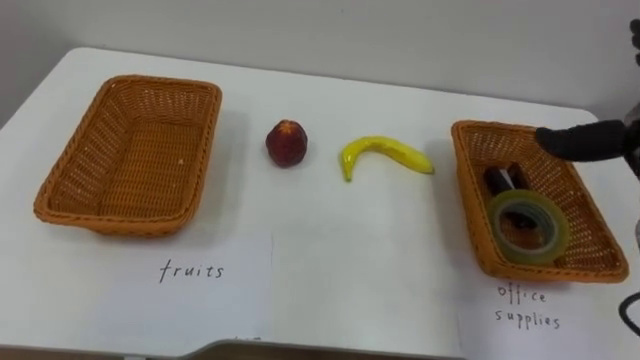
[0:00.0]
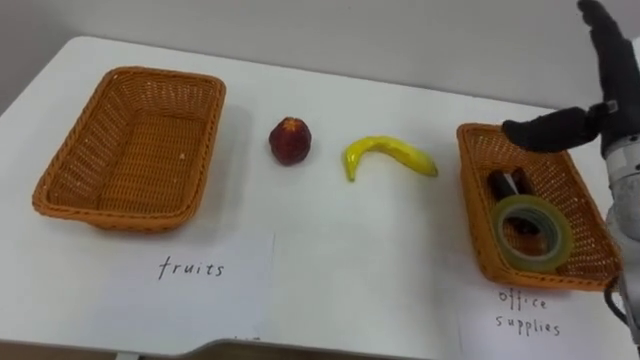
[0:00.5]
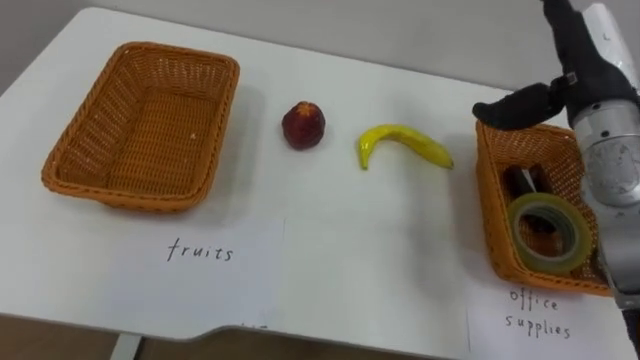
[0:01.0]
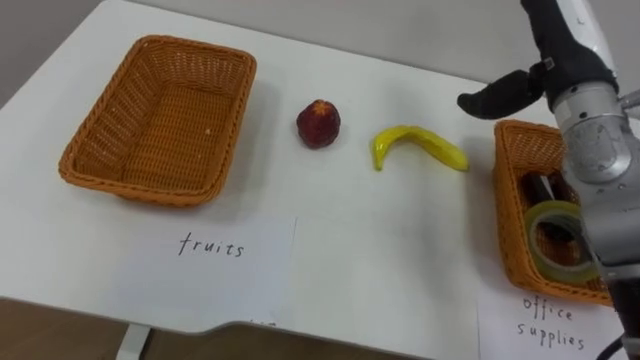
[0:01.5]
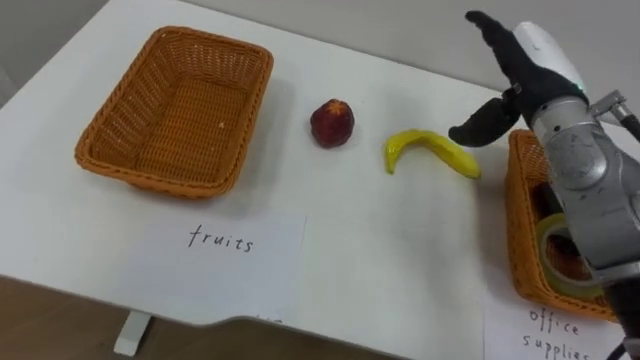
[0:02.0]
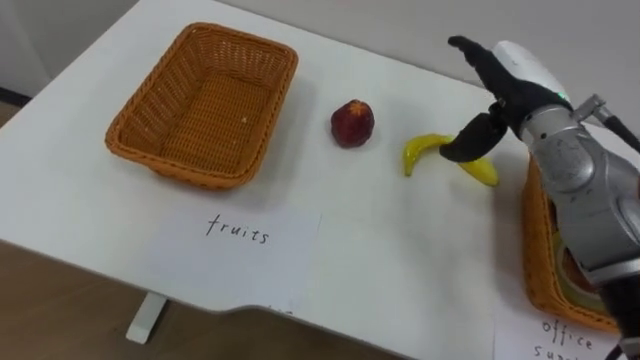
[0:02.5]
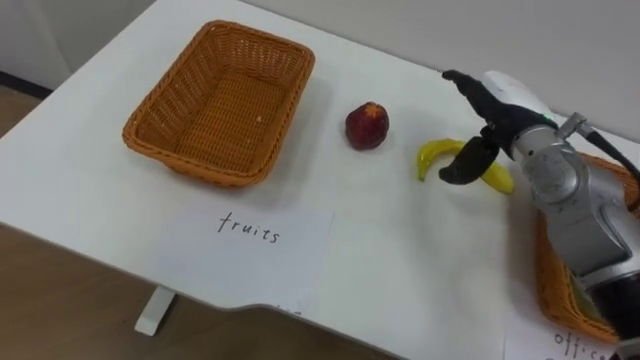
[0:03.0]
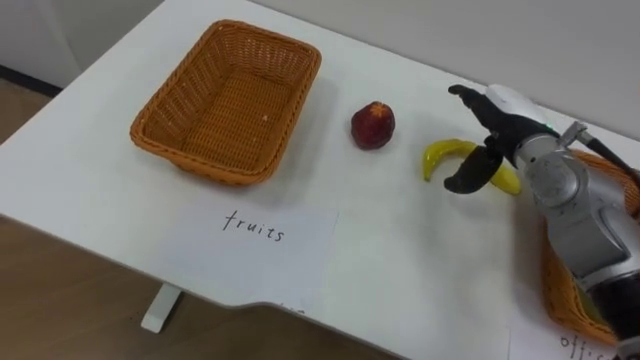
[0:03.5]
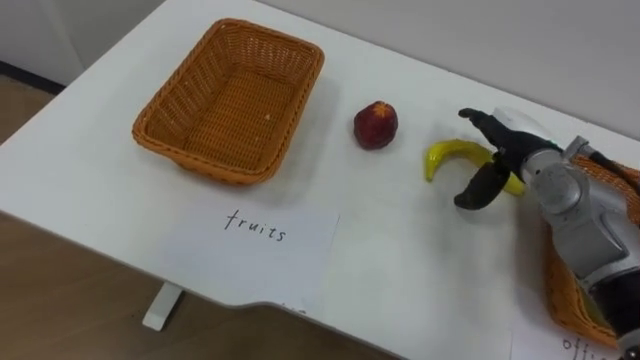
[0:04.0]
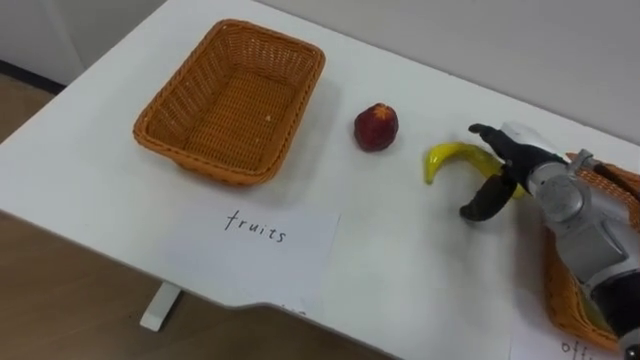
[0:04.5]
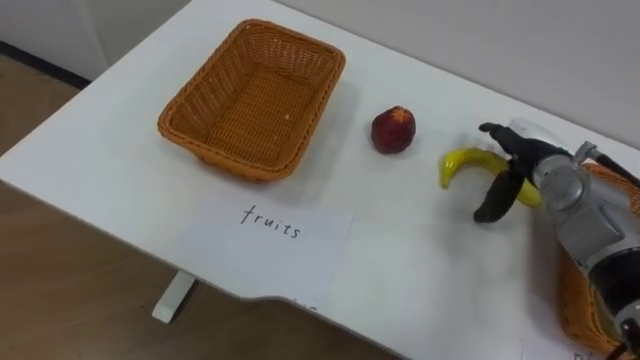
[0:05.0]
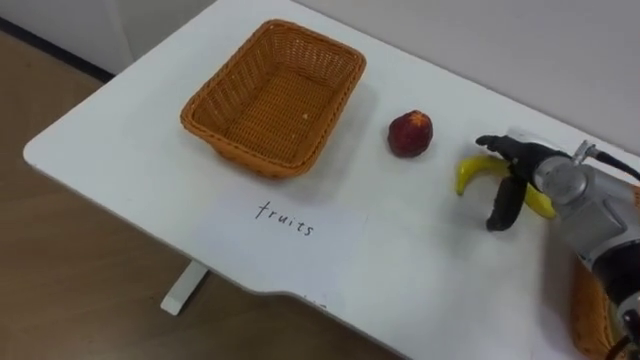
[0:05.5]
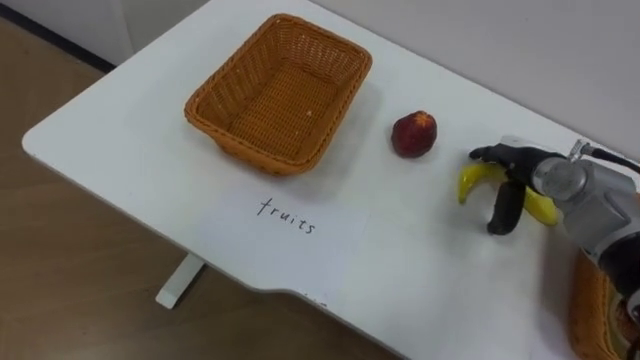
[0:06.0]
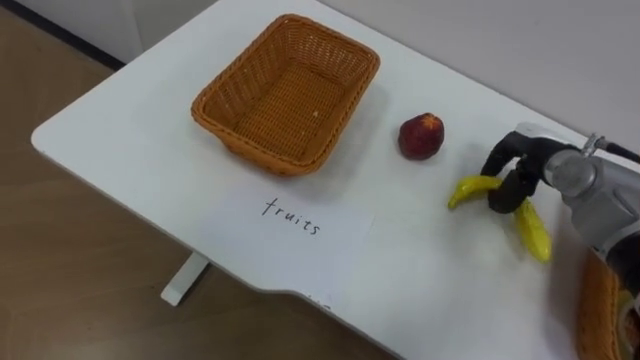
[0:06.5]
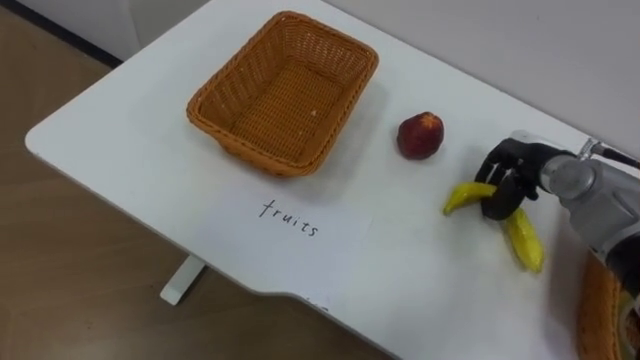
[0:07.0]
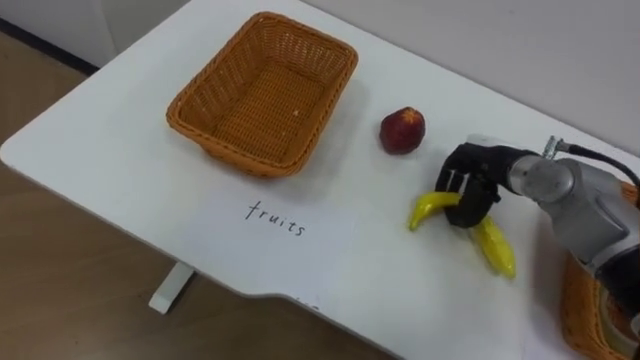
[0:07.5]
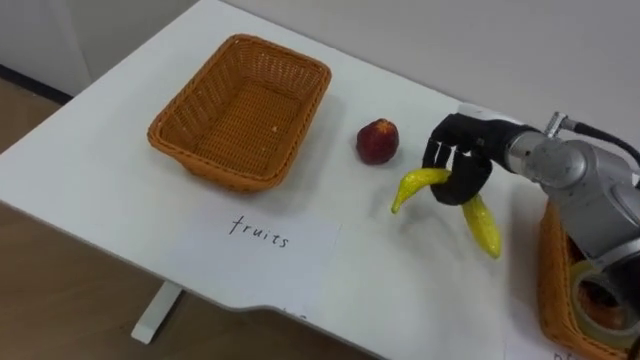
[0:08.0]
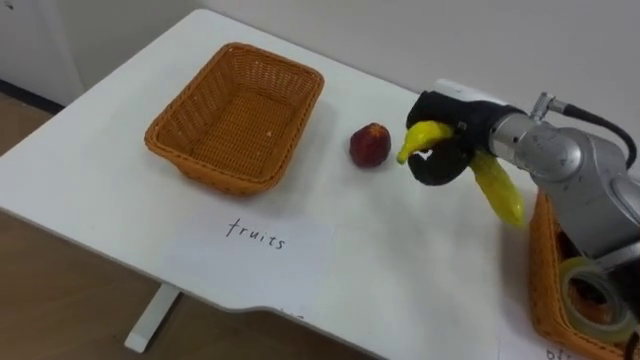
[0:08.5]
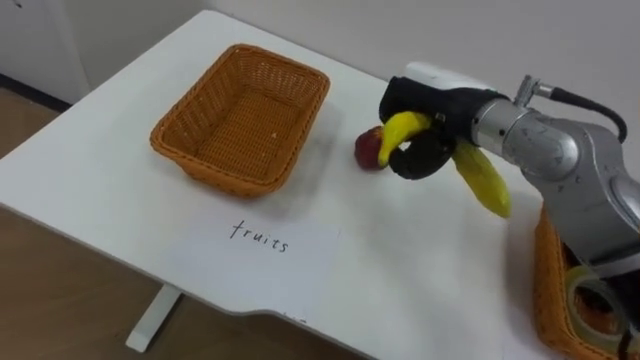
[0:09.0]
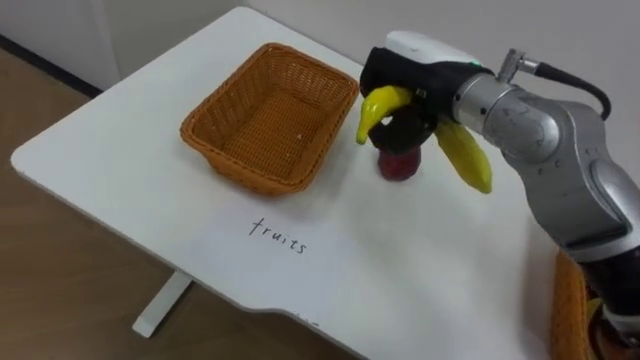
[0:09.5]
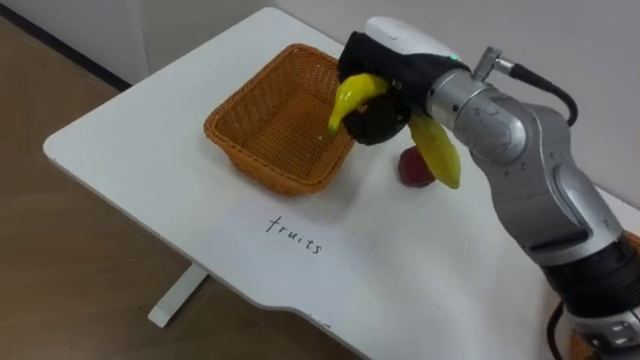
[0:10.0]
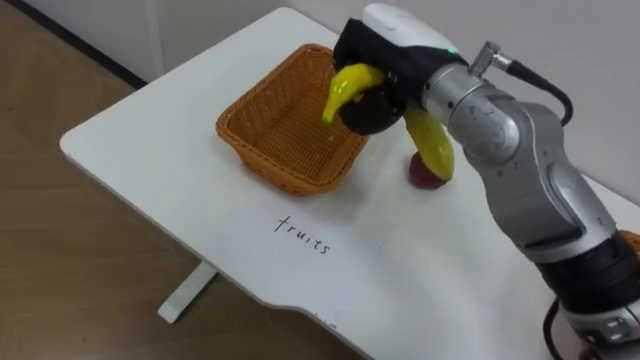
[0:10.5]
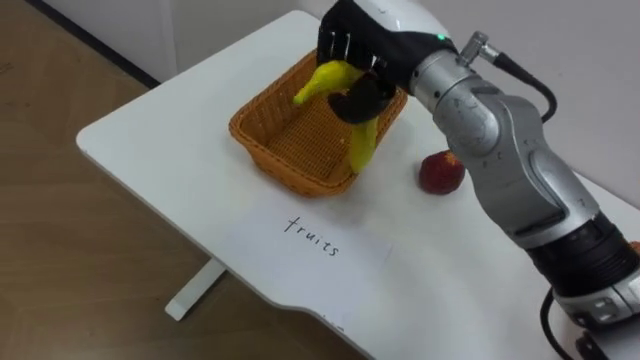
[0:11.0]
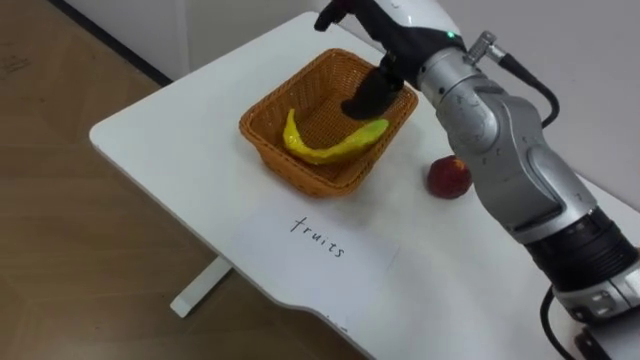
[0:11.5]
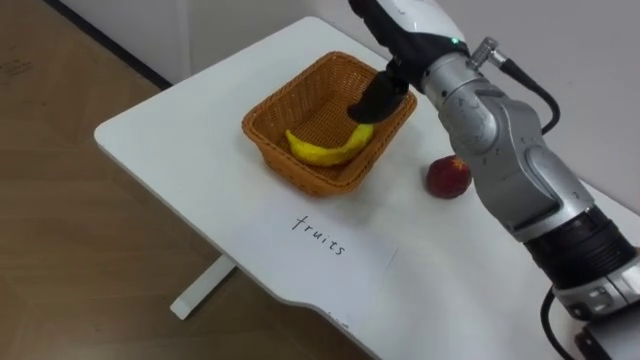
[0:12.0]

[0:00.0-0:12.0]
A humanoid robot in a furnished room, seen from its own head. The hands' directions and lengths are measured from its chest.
Task of the whole recording: Separate the items on the table and place them into the two baskets.
2.0 to 4.0 s: The right hand is displaced downward by some 10 cm.
4.0 to 6.0 s: The right hand changes place by about 5 cm.
6.0 to 8.0 s: The right hand shifts about 10 cm to the left and upward, and closes.
8.0 to 10.0 s: The right hand shifts some 15 cm to the left and upward.
10.0 to 12.0 s: The right hand opens up.

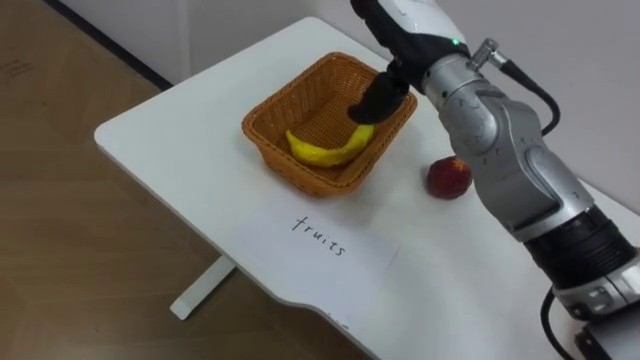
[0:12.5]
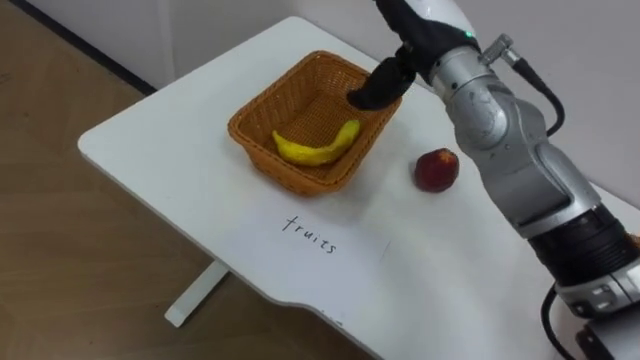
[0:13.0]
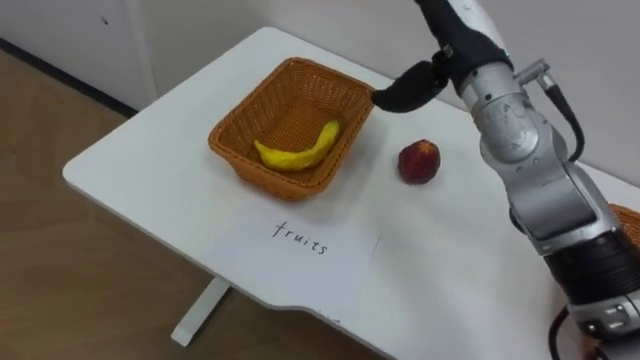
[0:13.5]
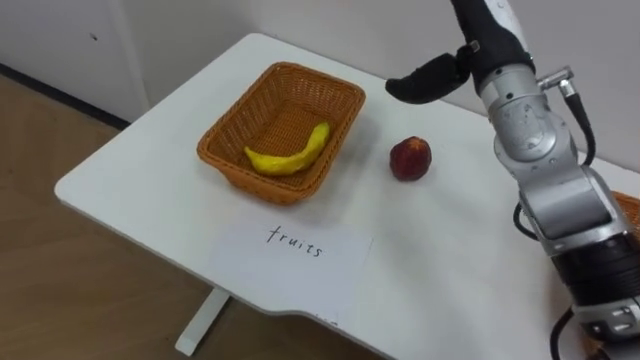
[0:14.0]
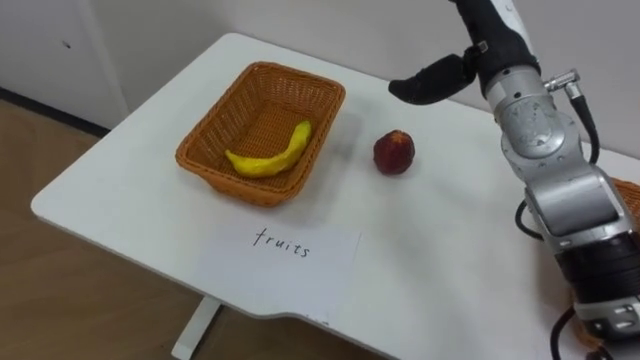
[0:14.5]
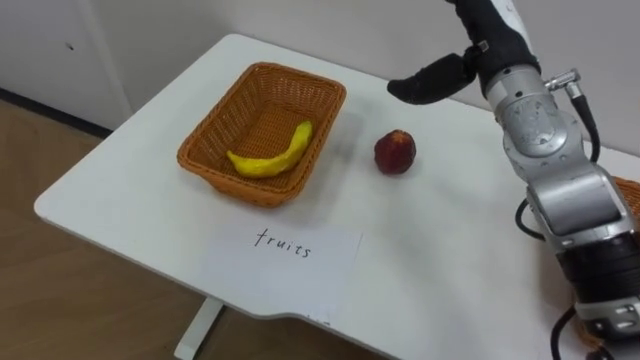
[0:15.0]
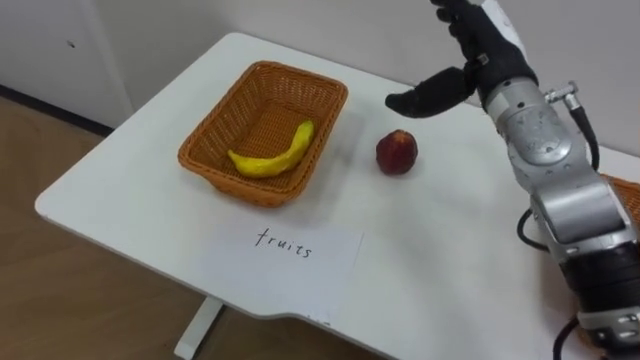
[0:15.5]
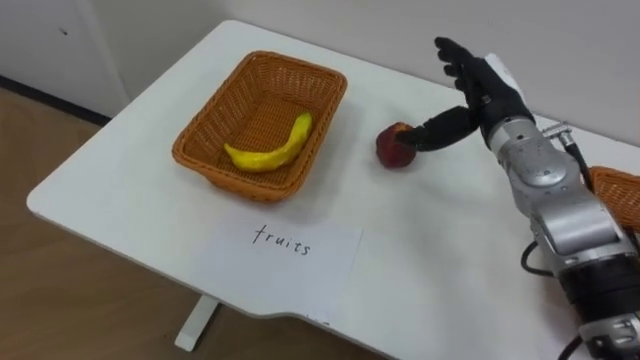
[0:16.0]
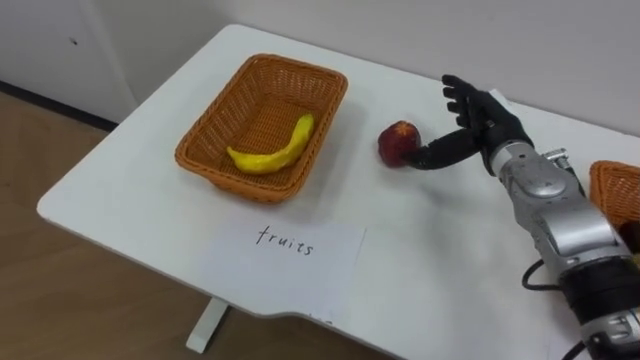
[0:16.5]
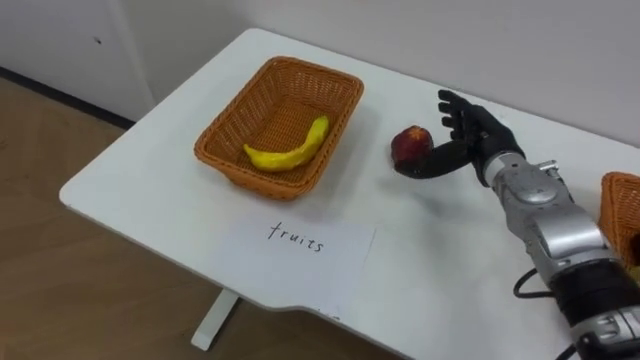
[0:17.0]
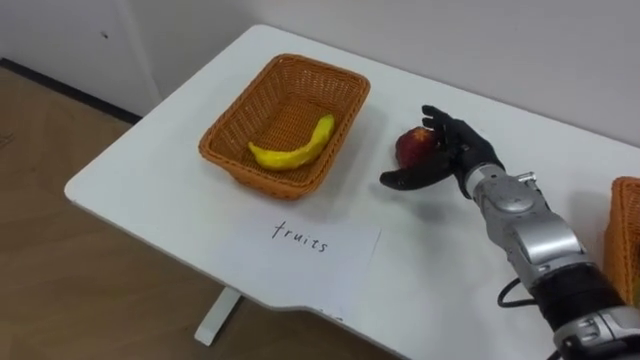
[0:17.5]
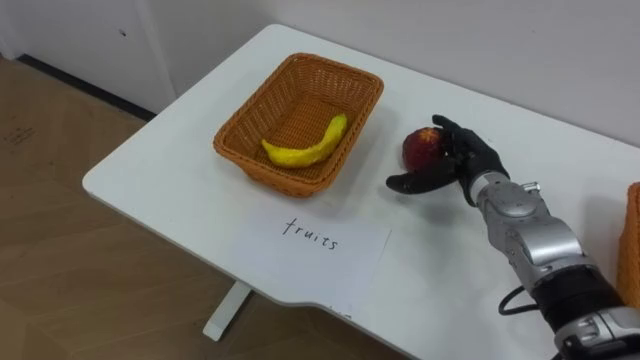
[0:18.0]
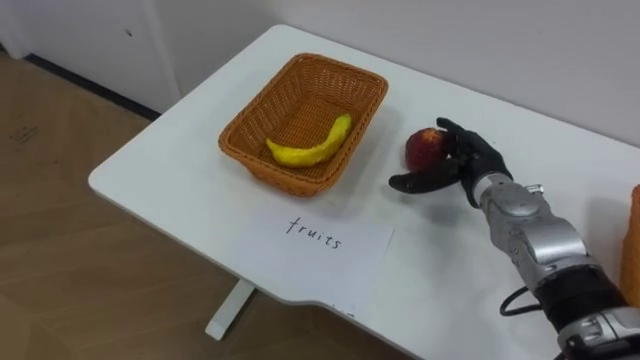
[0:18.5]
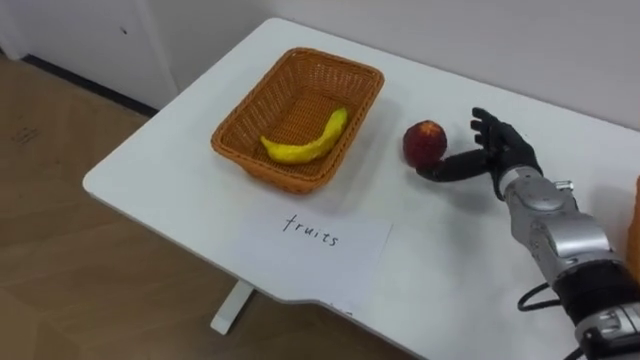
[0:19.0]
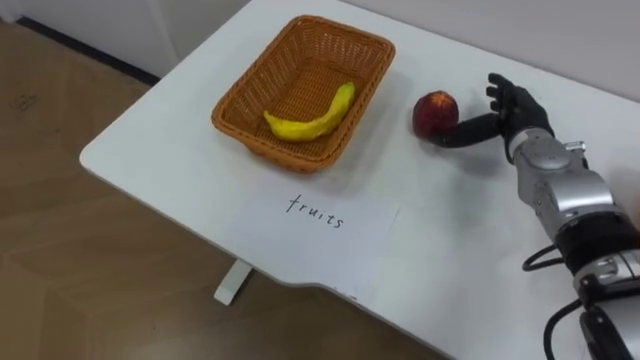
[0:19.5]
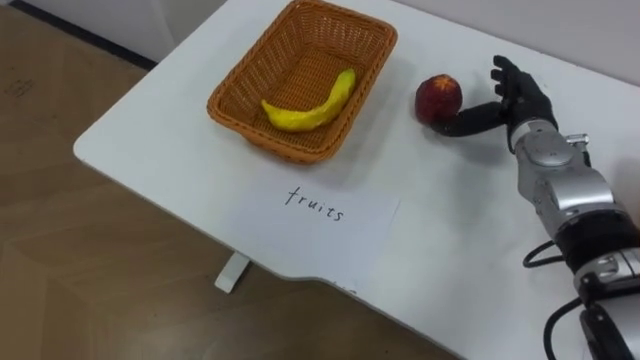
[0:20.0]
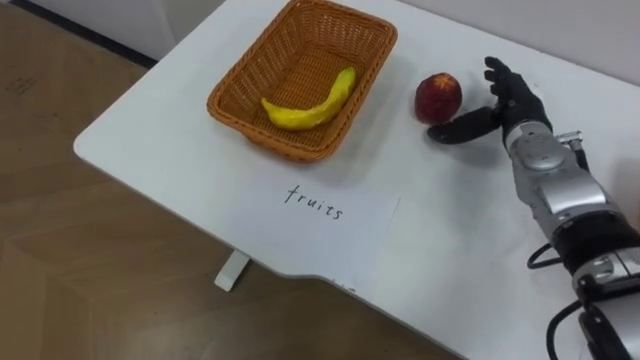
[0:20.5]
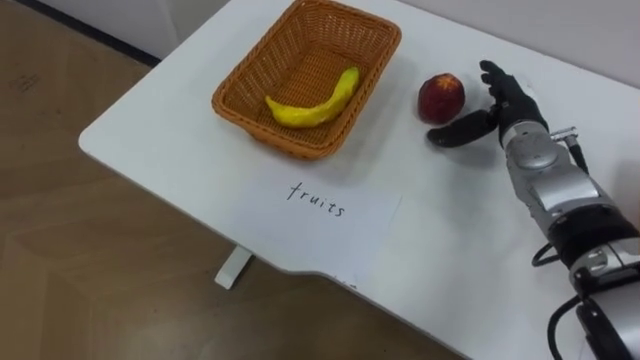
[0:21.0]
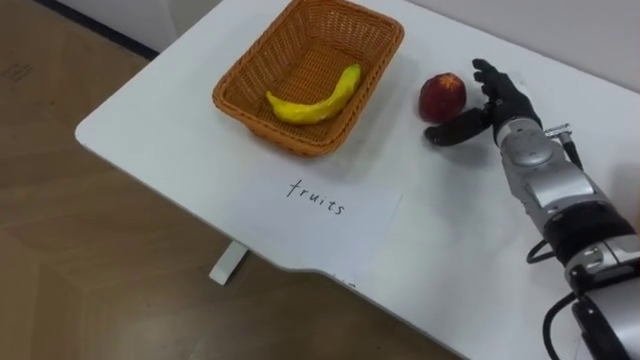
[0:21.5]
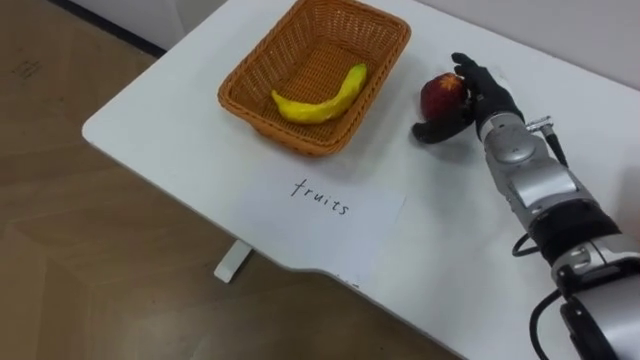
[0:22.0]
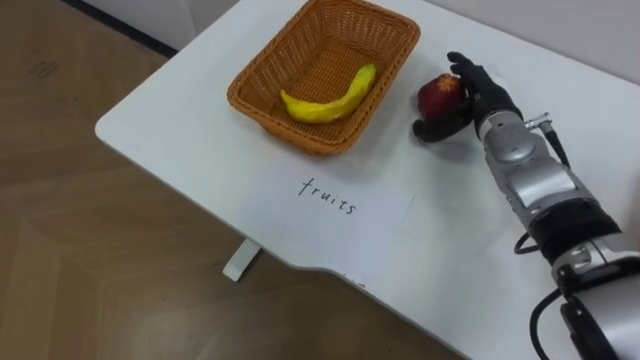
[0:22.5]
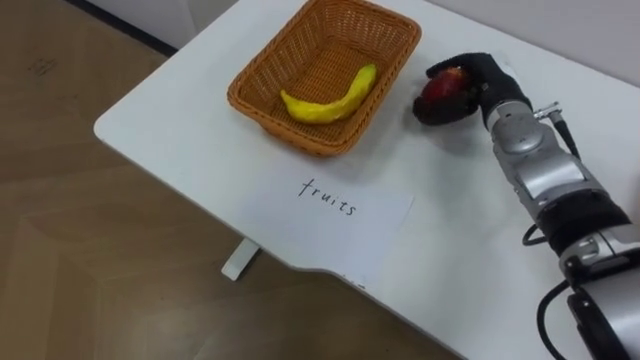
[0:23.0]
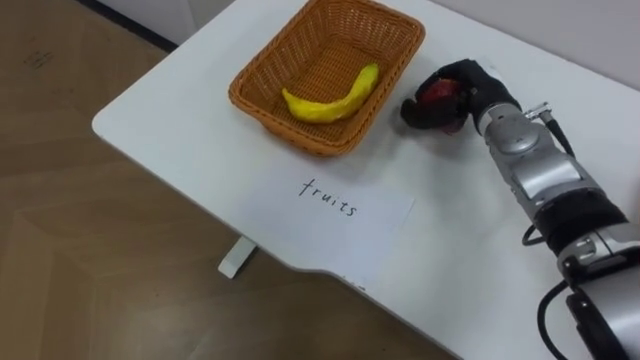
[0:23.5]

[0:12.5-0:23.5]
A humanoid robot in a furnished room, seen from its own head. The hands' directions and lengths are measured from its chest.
Task of the whole recording: Separate the items on the table and place them into the two baskets.
12.5 to 14.5 s: The right hand is displaced to the right by roughly 10 cm.
14.5 to 16.0 s: The right hand travels downward by about 5 cm.
16.0 to 18.0 s: The right hand heads downward, covering some 10 cm.
18.0 to 20.0 s: The right hand goes about 10 cm upward and to the right.
21.5 to 23.5 s: The right hand closes up.
